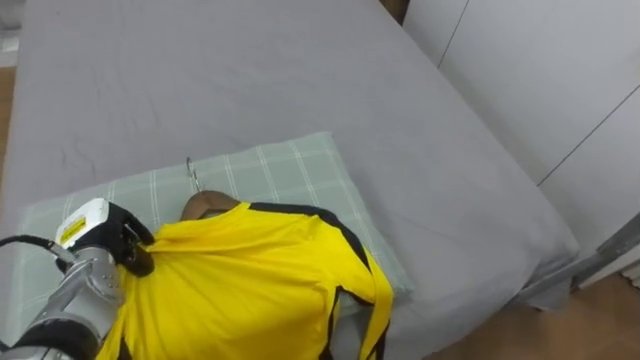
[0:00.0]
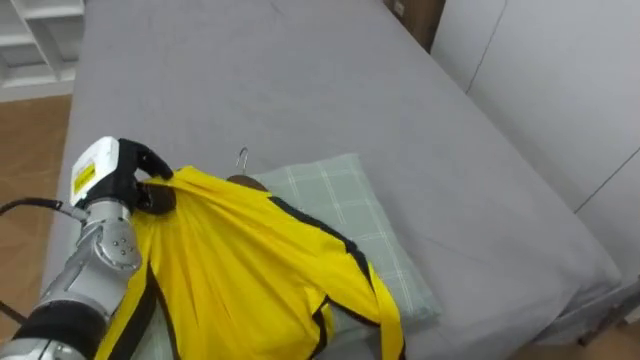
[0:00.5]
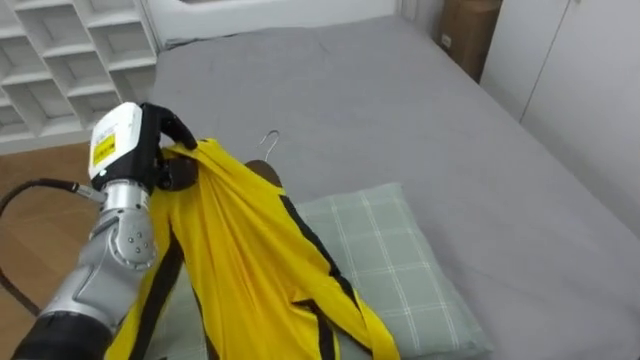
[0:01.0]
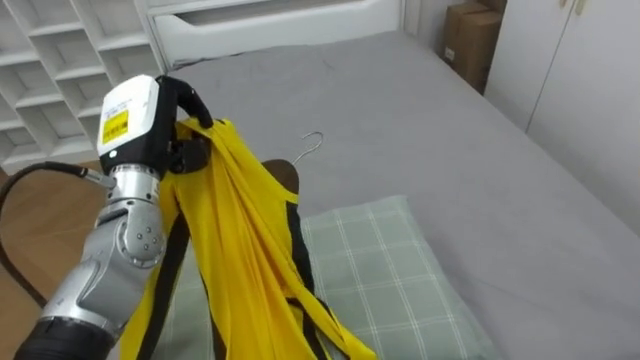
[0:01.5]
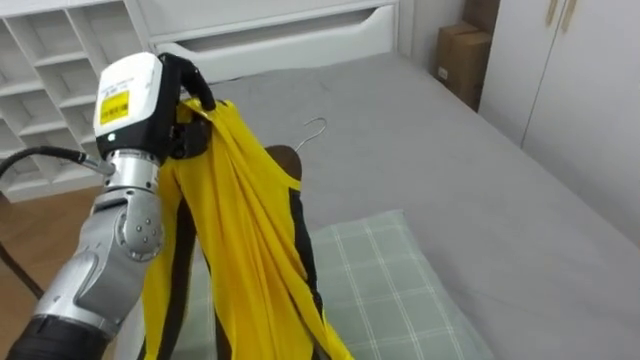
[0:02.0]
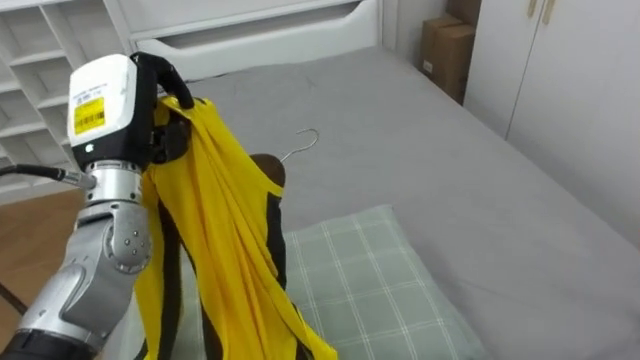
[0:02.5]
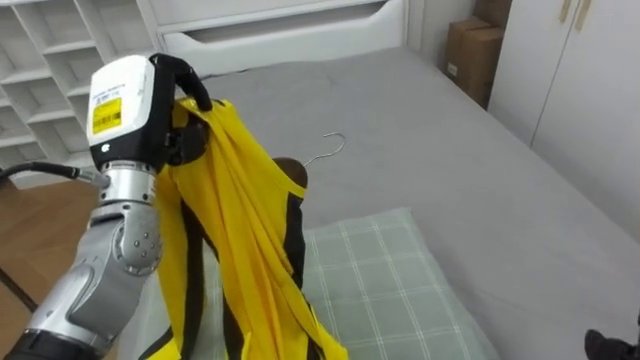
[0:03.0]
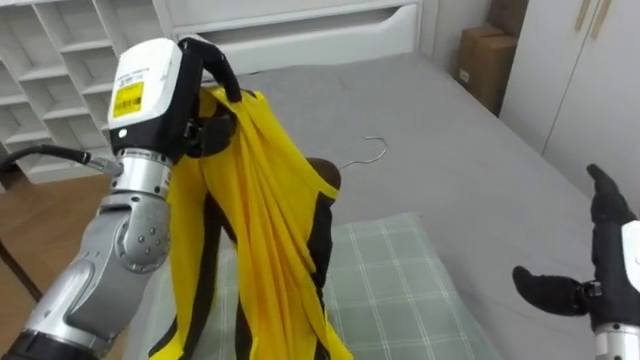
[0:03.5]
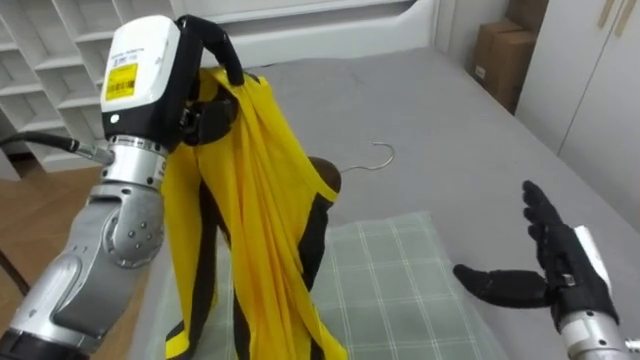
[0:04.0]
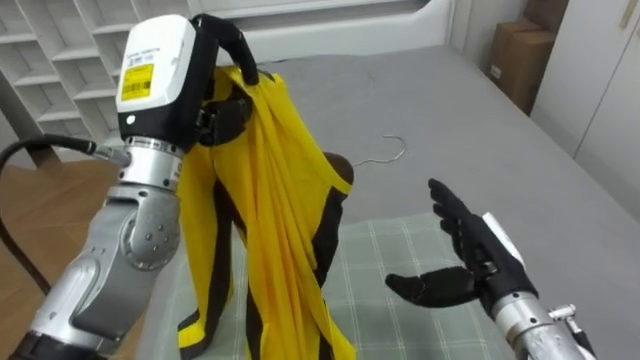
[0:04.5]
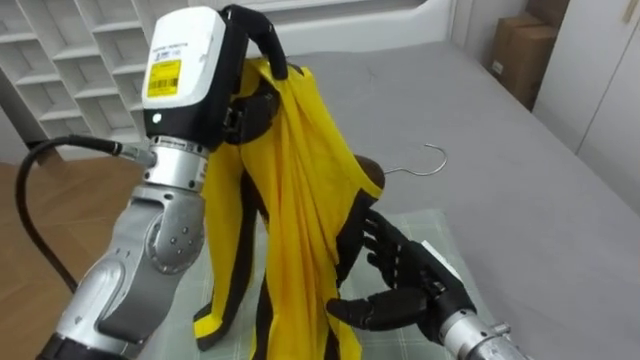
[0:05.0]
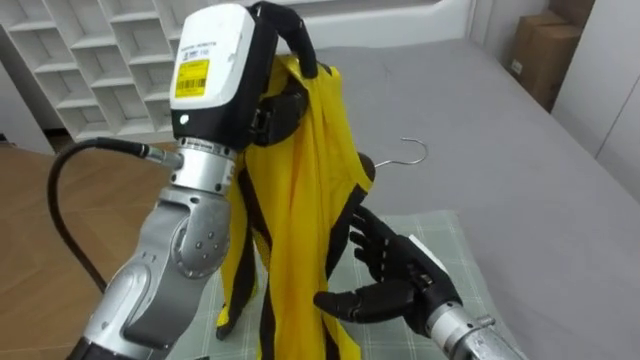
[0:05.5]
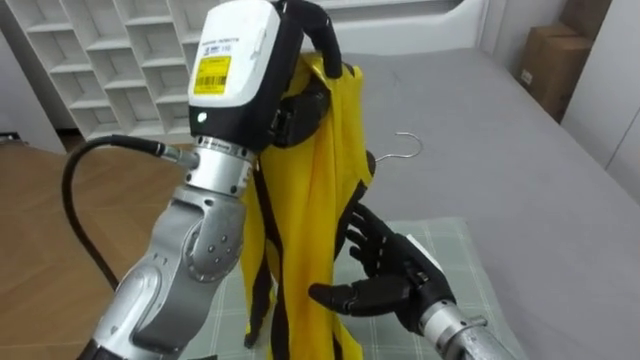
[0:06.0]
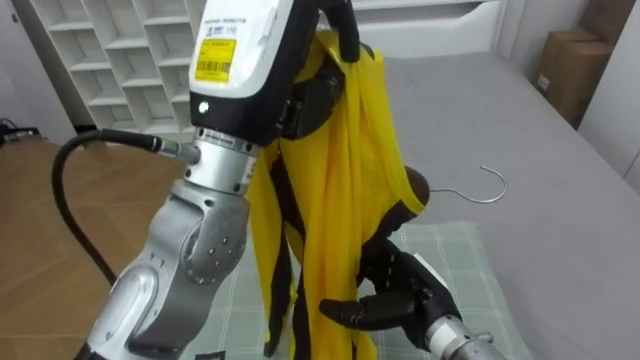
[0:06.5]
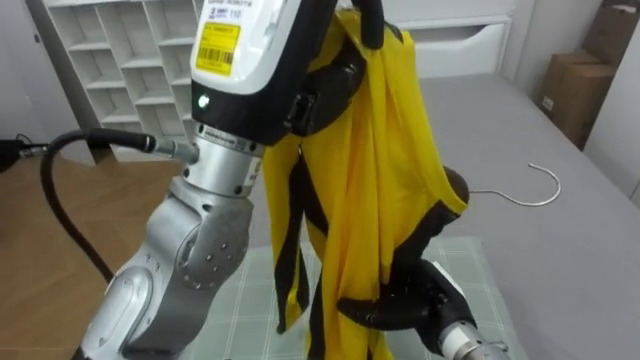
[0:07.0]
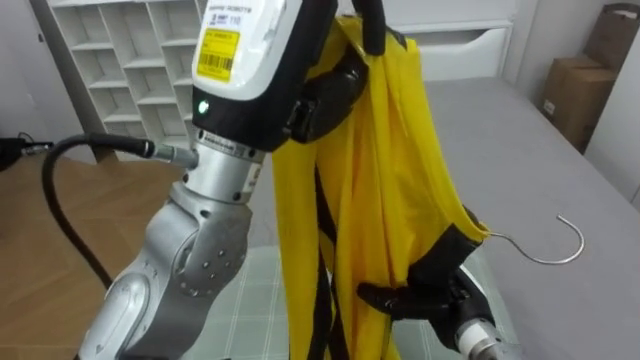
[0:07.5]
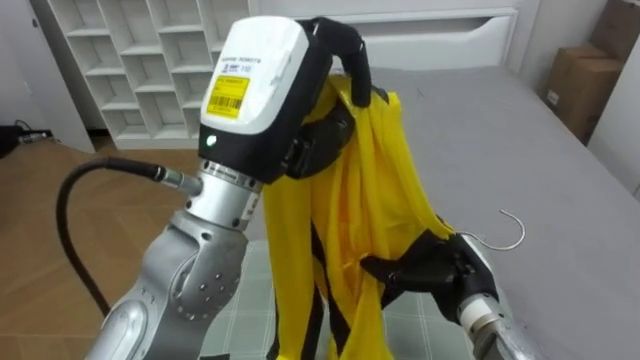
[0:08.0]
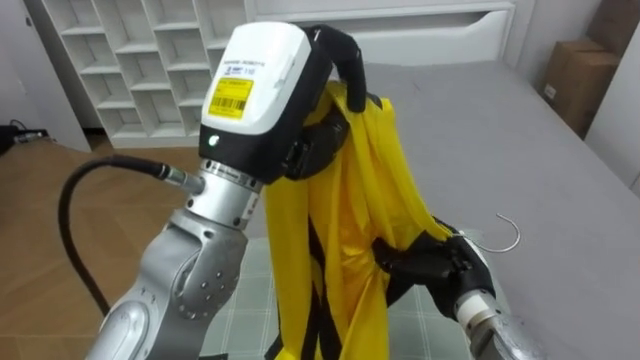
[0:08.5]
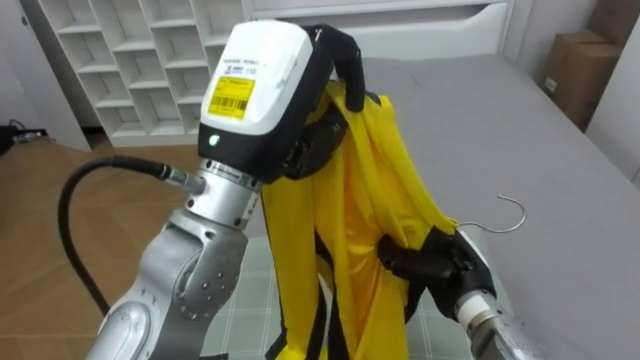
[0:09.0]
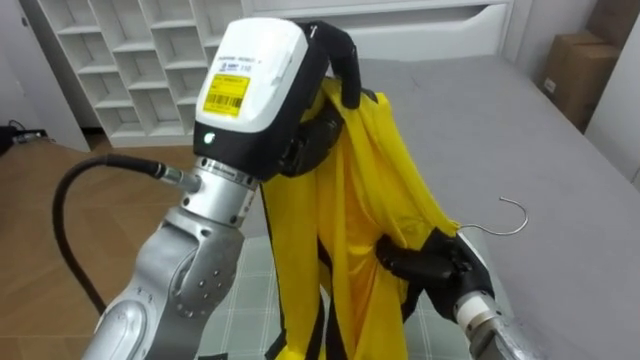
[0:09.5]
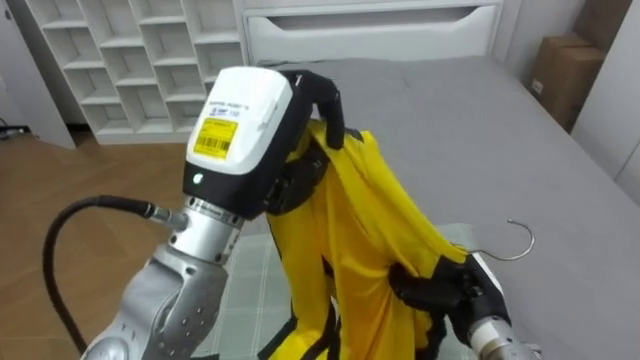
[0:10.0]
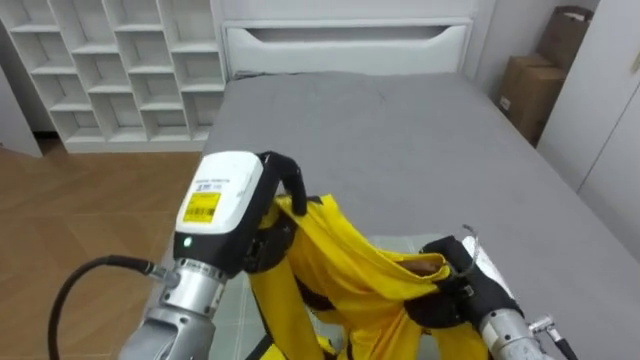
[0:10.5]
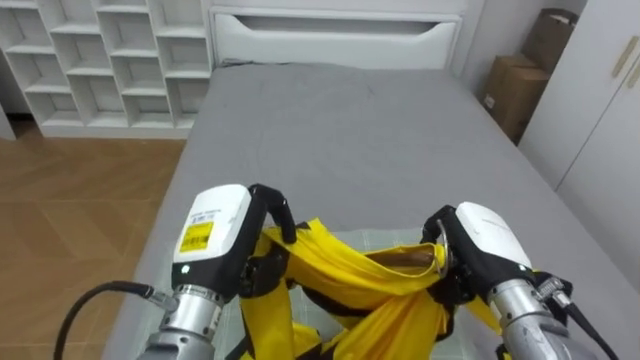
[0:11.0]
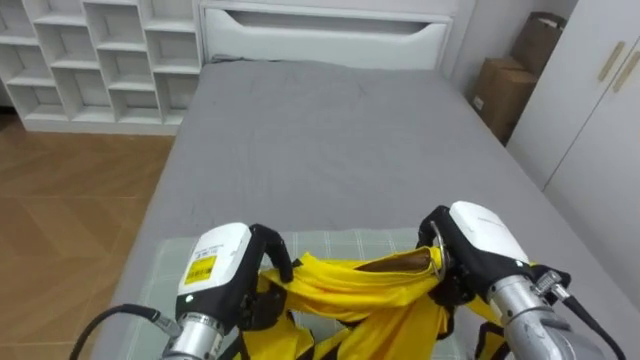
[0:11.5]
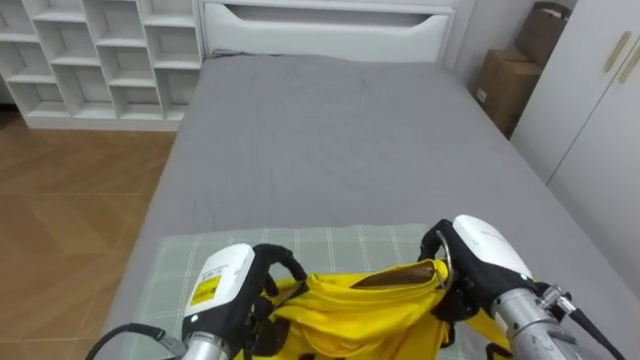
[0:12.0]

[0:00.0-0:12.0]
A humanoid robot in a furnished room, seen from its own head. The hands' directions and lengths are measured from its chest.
Task of the whole recording: Pick up the yellow shirt on the bed and hang it on the clothes rack on the right.
0:00.0 to 0:02.0: The left hand is displaced upward and to the right by approximately 20 cm.
0:02.0 to 0:04.0: The left hand moves approximately 5 cm.
0:04.0 to 0:06.0: The left hand heads to the right, covering some 10 cm, while the right hand moves to the left, roughly 20 cm.
0:06.0 to 0:08.0: The right hand is displaced to the right by some 5 cm.
0:08.0 to 0:10.0: The right hand closes.
0:10.0 to 0:12.0: The right hand is displaced upward by roughly 5 cm; the left hand goes about 20 cm downward, and opens its fingers.

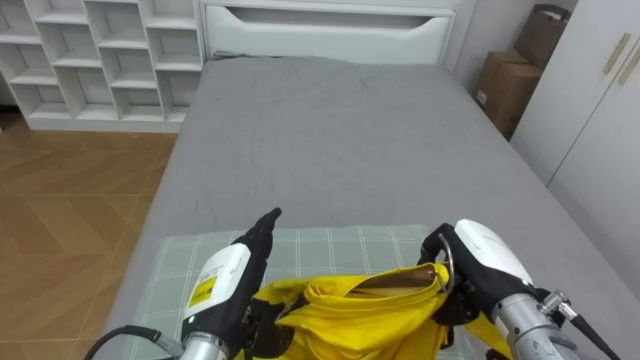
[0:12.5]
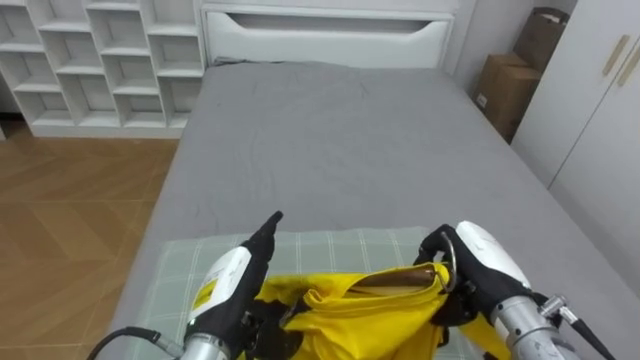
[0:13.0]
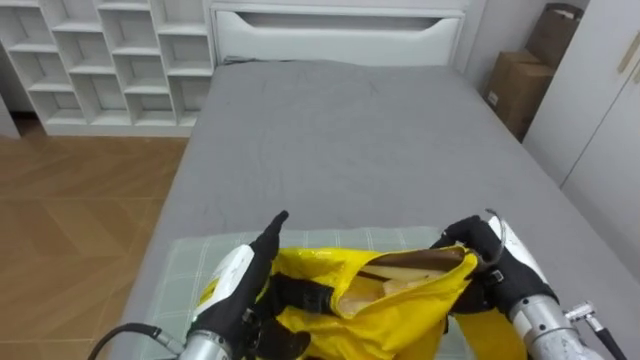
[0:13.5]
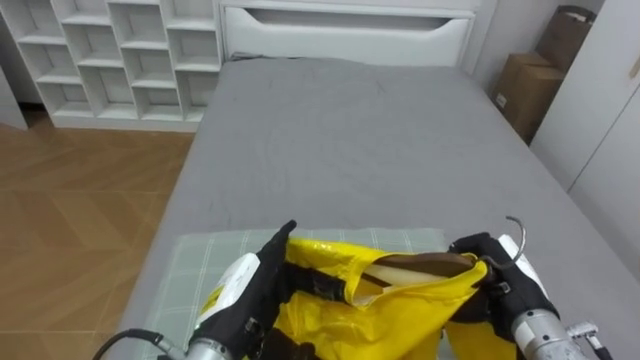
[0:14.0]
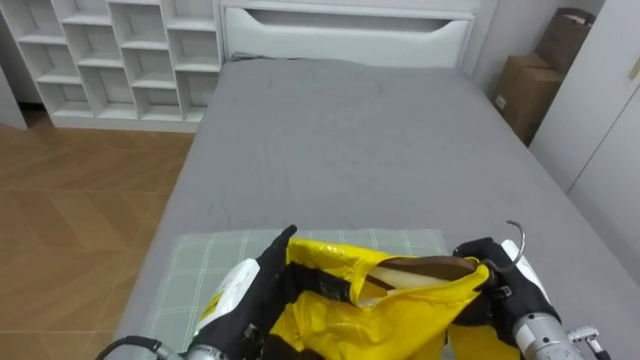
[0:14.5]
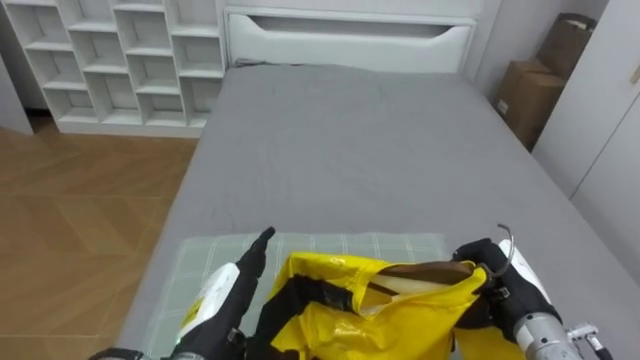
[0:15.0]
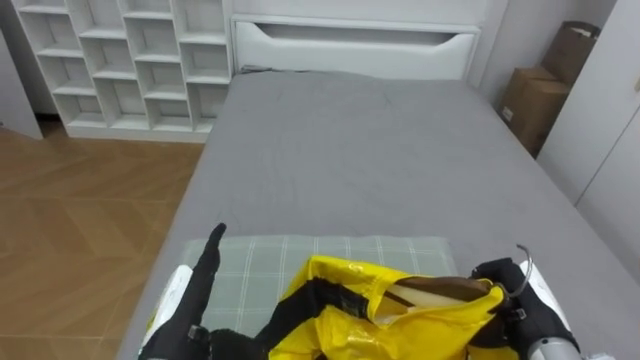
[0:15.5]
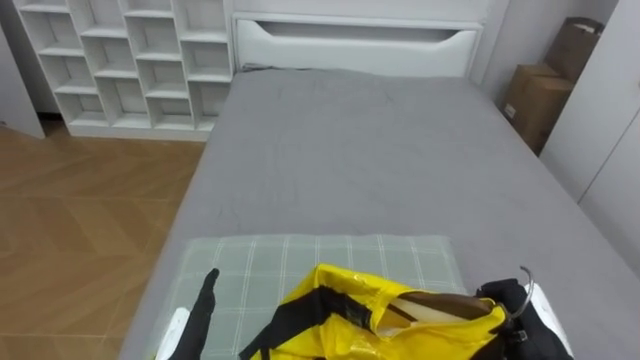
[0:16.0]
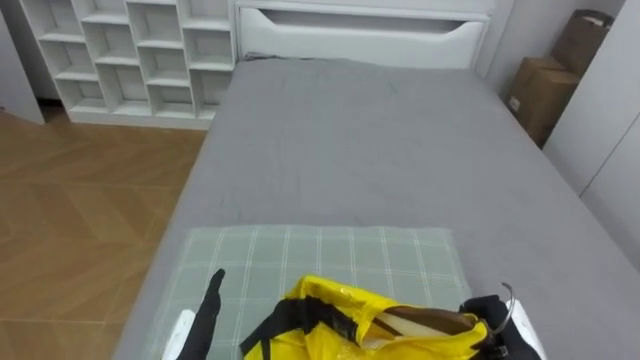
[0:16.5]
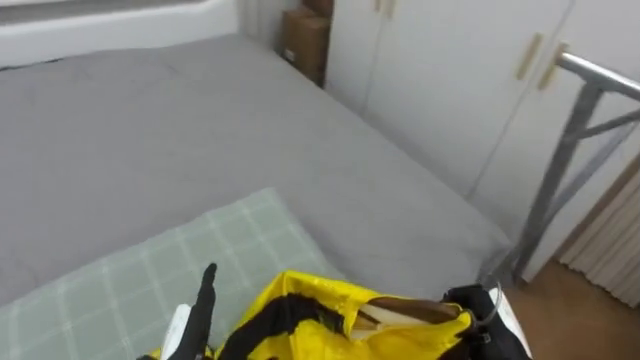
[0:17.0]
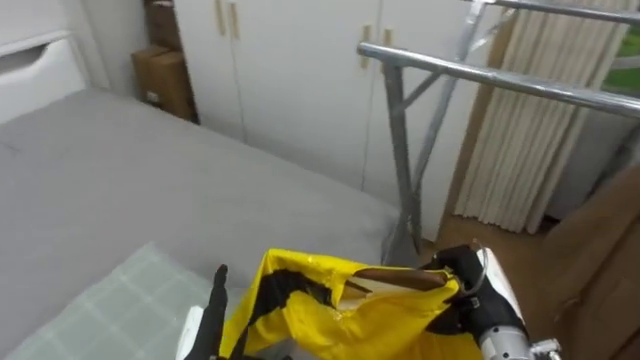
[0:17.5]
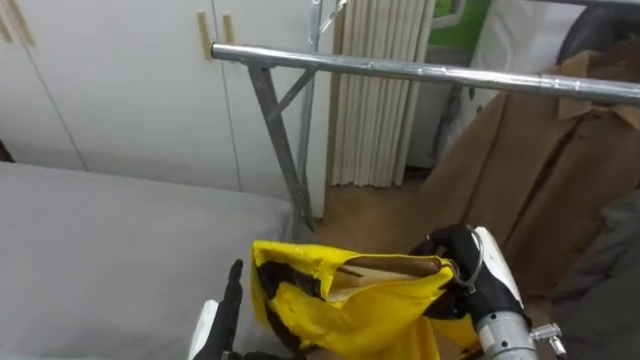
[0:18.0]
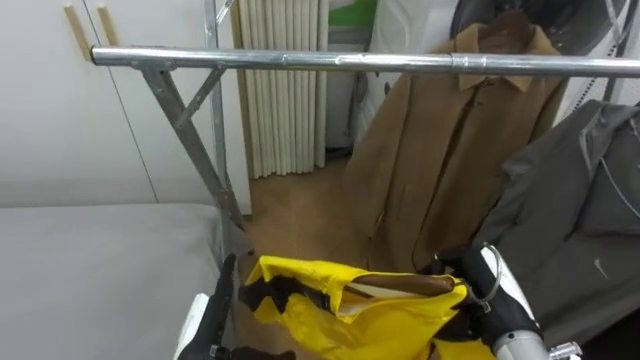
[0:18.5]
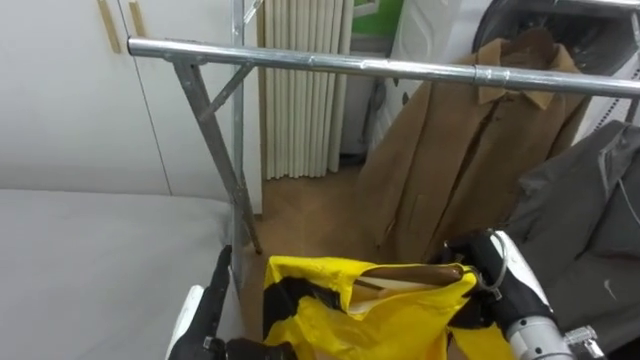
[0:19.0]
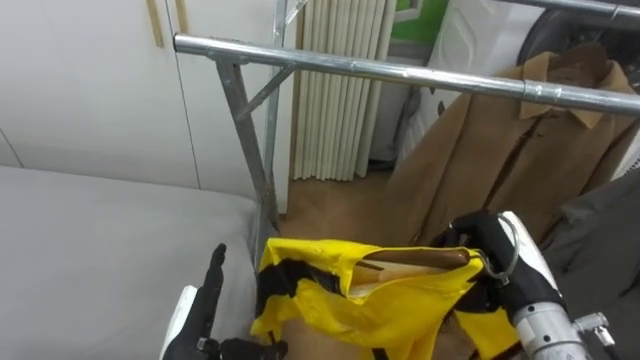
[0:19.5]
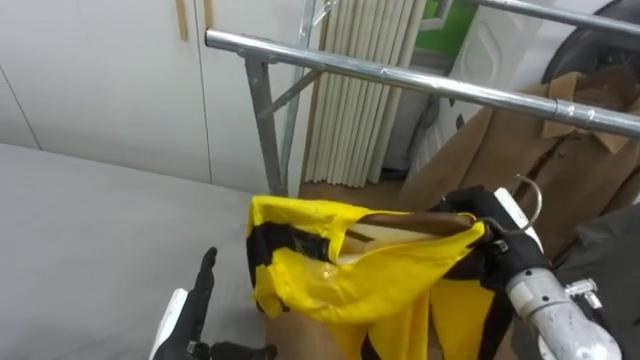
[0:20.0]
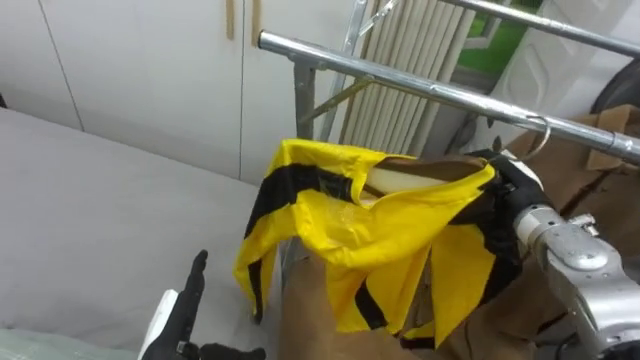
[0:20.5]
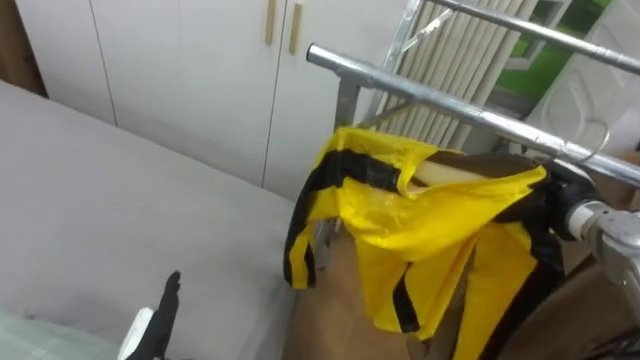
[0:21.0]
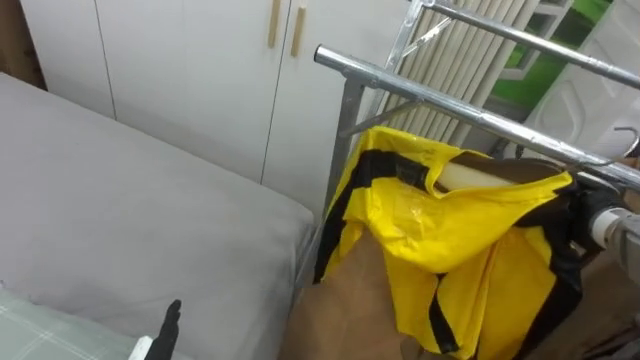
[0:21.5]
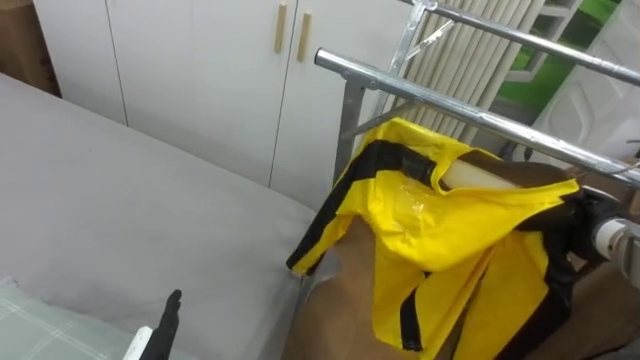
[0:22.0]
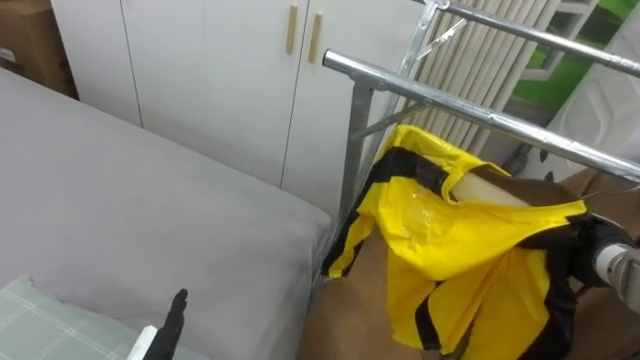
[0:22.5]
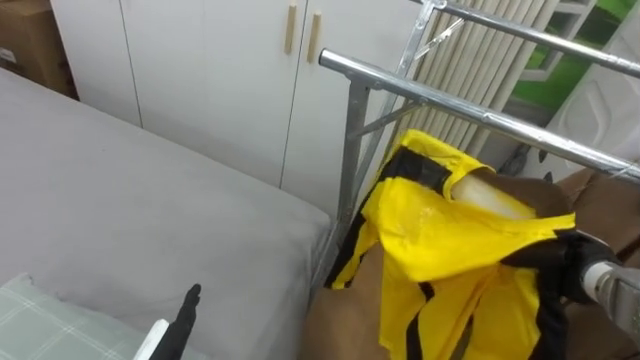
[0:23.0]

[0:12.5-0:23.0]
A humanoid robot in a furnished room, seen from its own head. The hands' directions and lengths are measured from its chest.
Task of the whole recording: Pick up the yellow shirt on the bed and hang it on the clothes rack on the right.
0:12.5 to 0:14.5: The right hand changes place by approximately 5 cm.
0:14.5 to 0:16.5: The left hand shifts roughly 10 cm to the left and downward, while the right hand moves downward, approximately 5 cm.
0:16.5 to 0:19.0: The robot turns to its right by some 90 degrees. The right hand is displaced upward by approximately 10 cm.
0:19.0 to 0:21.0: The left hand travels to the left by about 5 cm; the right hand moves forward and to the right, roughly 15 cm.
0:21.0 to 0:23.0: The right hand heads downward, covering roughly 10 cm.
